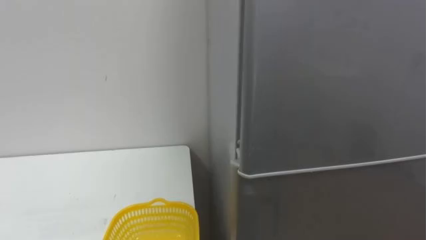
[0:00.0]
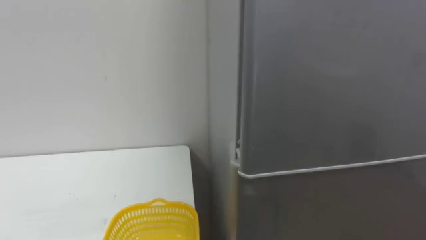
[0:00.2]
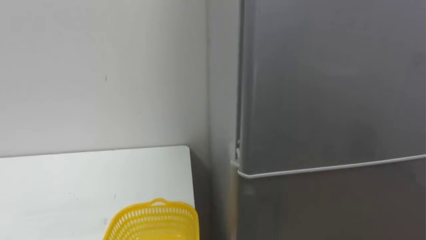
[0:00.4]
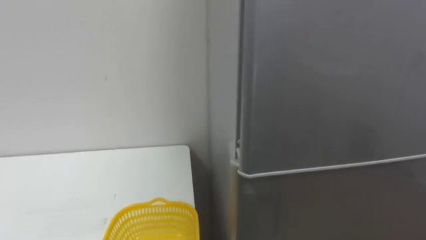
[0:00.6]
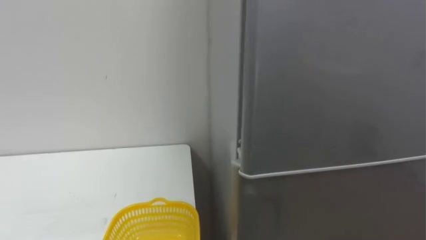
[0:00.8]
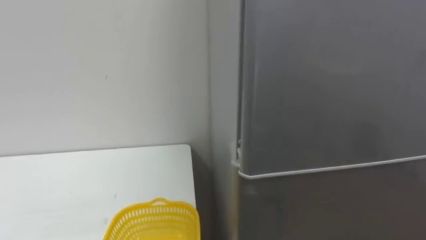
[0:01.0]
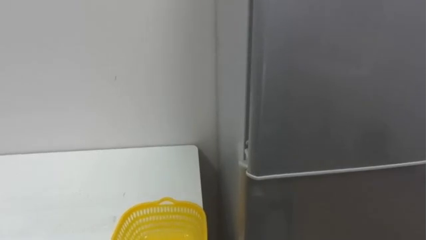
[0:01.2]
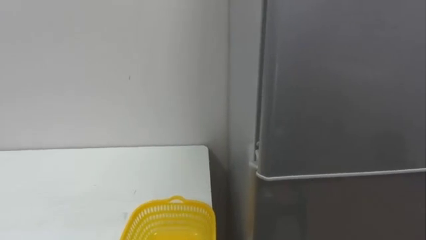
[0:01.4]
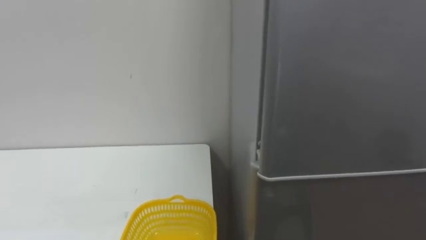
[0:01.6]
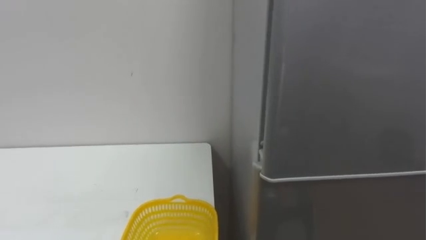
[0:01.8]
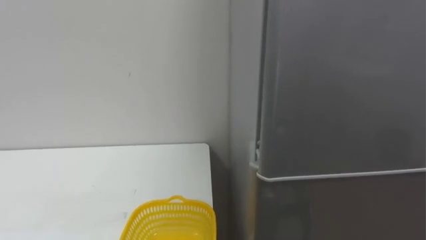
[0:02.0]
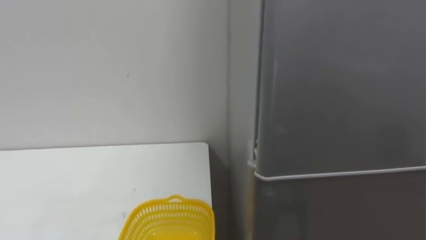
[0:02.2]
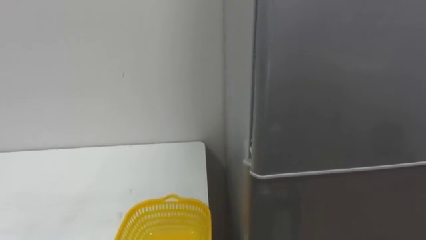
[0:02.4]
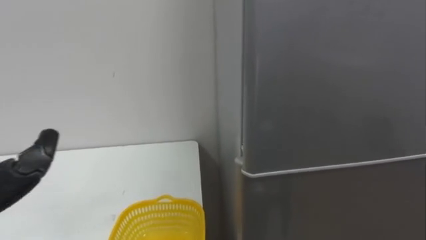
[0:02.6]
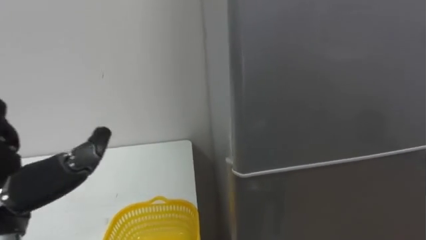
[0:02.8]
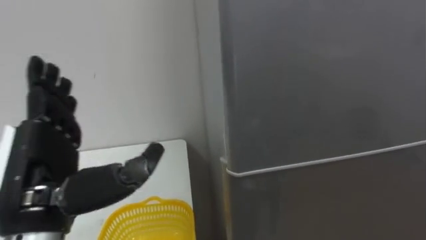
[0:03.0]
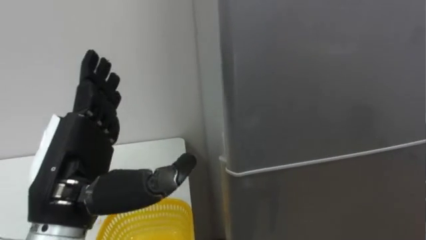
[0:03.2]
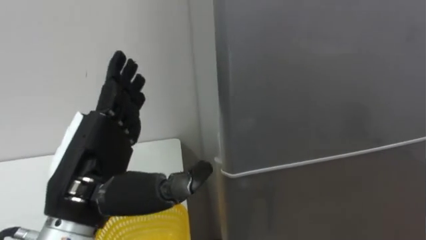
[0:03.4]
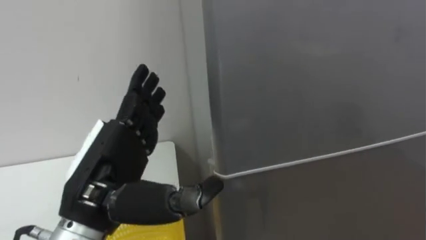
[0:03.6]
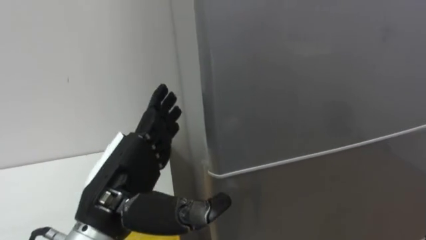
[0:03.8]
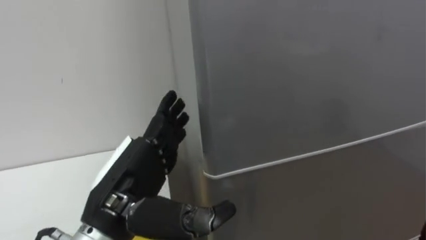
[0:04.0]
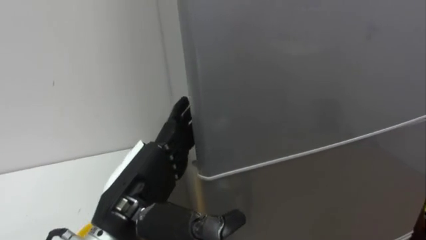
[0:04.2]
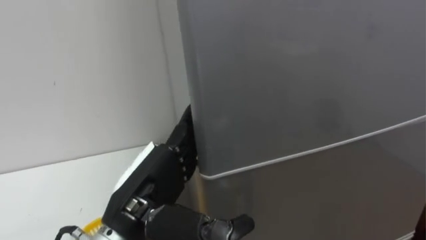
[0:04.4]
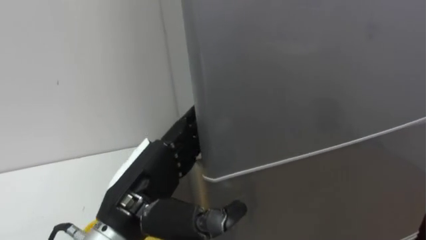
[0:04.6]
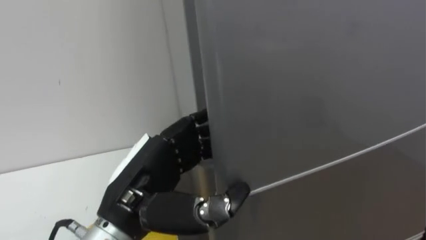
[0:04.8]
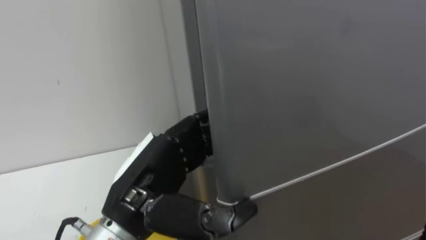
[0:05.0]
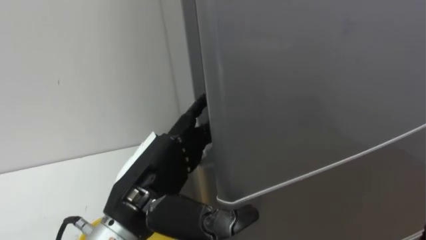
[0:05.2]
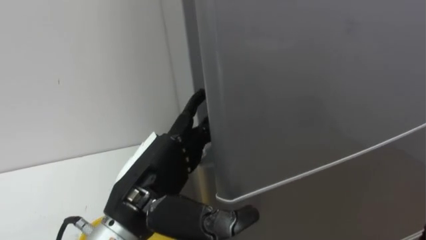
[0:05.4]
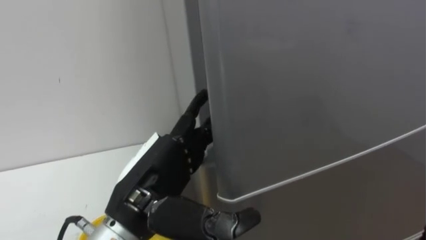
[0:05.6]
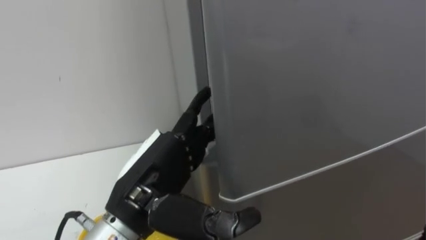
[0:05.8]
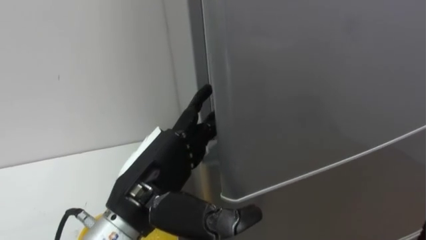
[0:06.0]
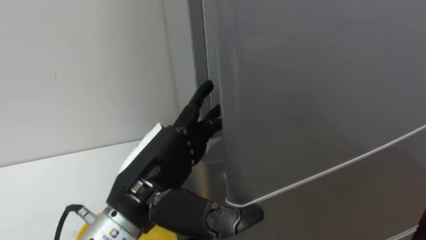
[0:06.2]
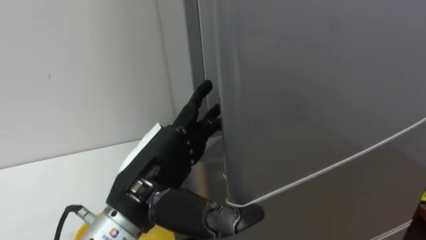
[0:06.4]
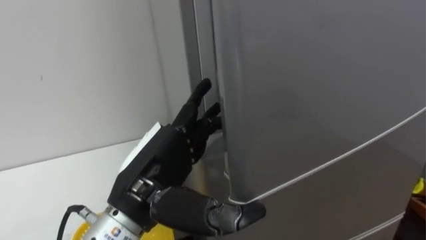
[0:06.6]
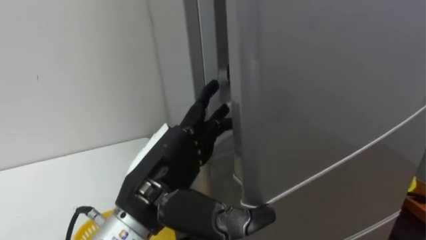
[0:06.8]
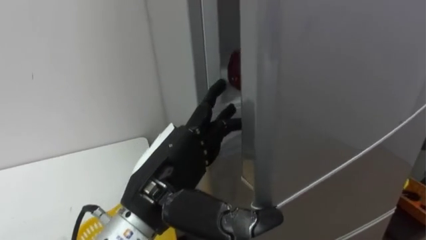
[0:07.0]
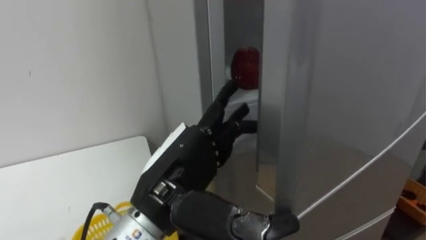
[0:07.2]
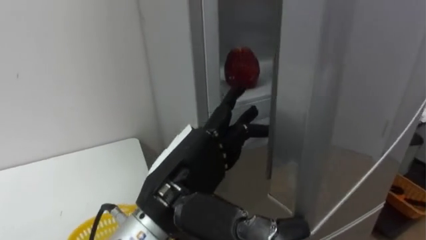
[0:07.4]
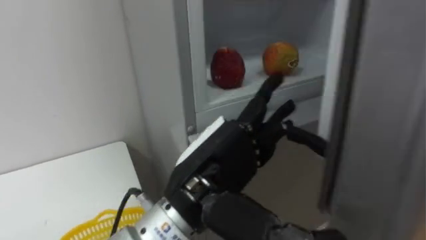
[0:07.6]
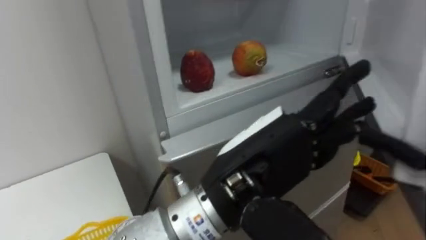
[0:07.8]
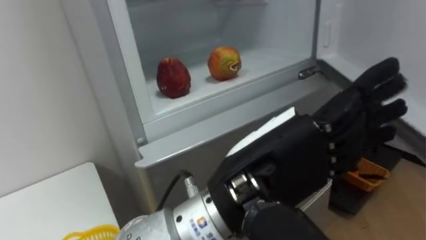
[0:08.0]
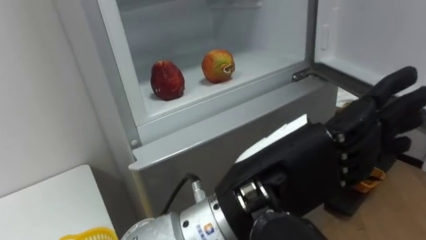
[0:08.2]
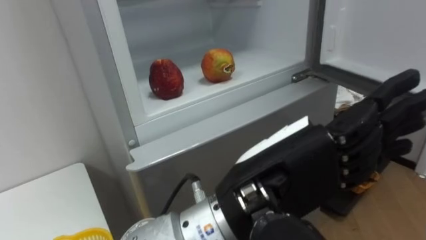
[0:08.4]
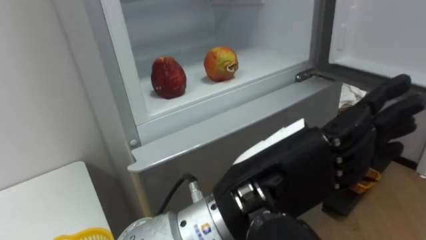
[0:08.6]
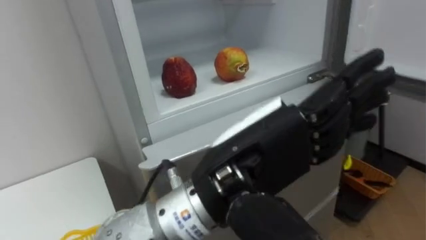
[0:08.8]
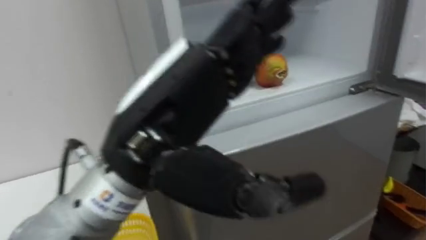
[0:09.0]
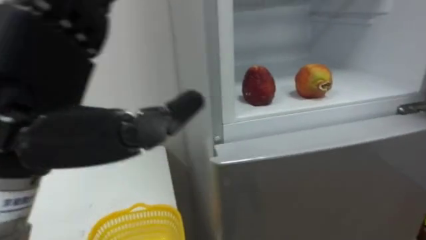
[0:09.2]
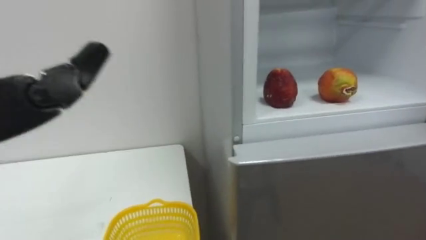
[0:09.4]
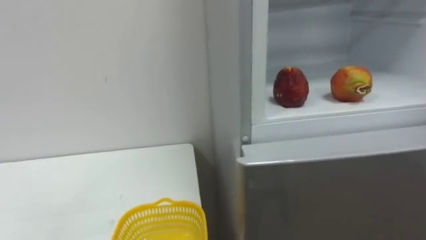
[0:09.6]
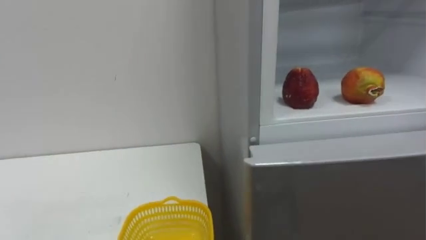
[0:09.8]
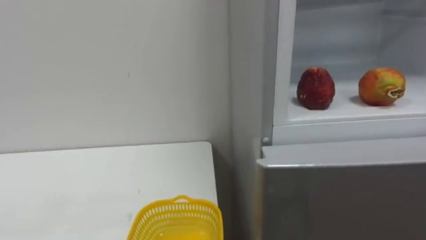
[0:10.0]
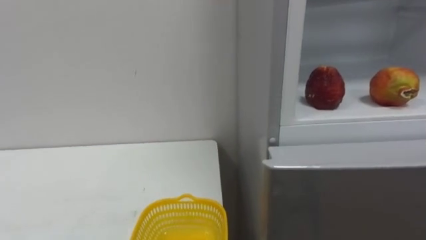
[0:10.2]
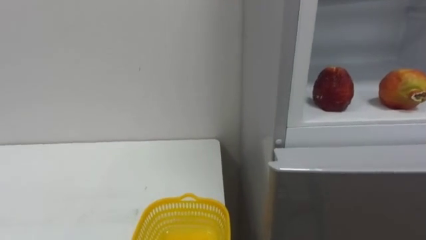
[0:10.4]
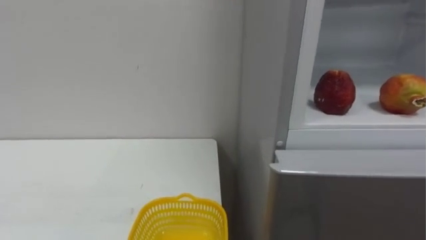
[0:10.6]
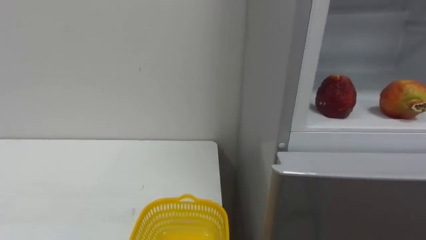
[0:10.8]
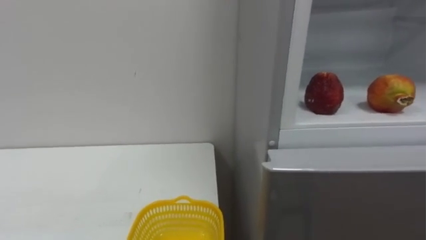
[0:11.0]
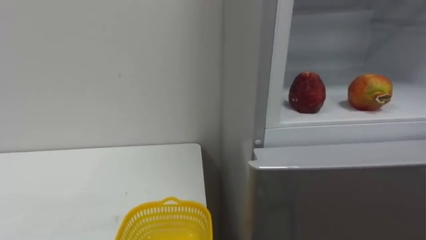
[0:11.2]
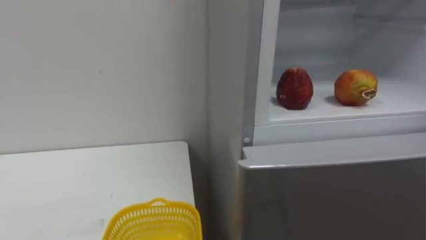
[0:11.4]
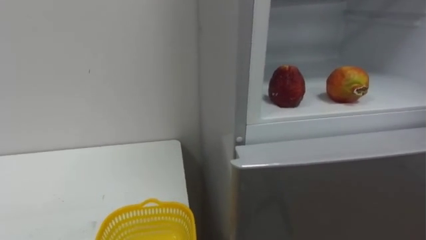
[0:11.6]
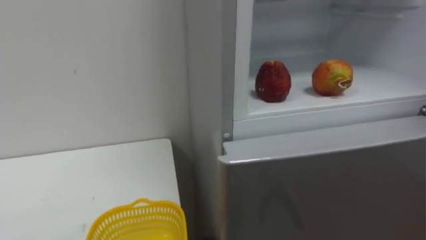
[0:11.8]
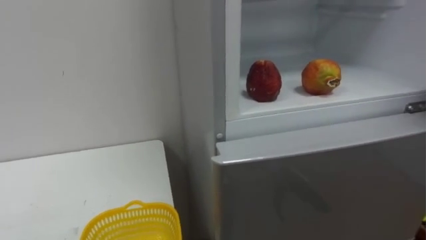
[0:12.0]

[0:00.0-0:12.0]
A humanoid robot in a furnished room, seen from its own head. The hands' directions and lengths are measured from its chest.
Task of the whole recording: Open the refrigerator door, take out the apple and the pomegranate, place them in the fruit basket on the left, and close the refrigerator door.
0:03.0 to 0:04.4: The left hand shifts about 10 cm to the right.
0:04.4 to 0:06.0: The left hand closes and opens again.
0:06.0 to 0:07.6: The left hand heads to the right, covering approximately 5 cm.
0:07.6 to 0:09.0: The left hand shifts about 10 cm upward, and travels to the right and back again, about 5 cm each way.

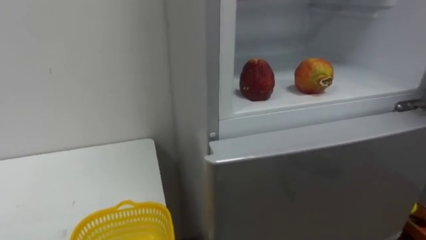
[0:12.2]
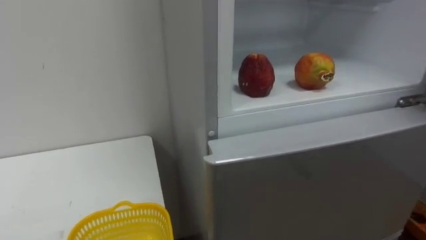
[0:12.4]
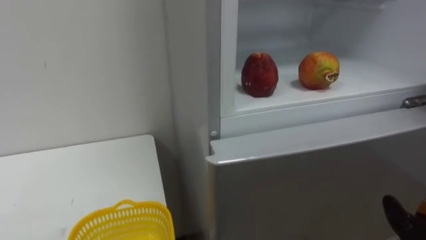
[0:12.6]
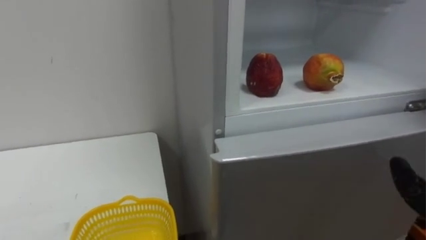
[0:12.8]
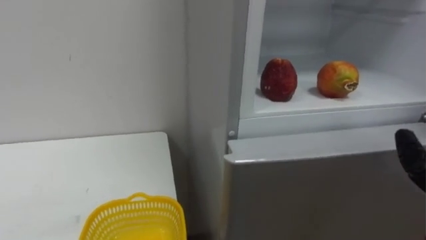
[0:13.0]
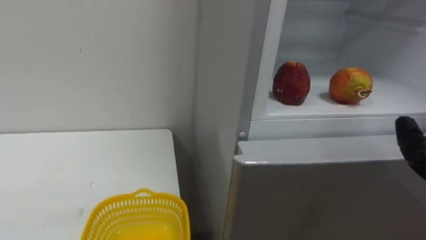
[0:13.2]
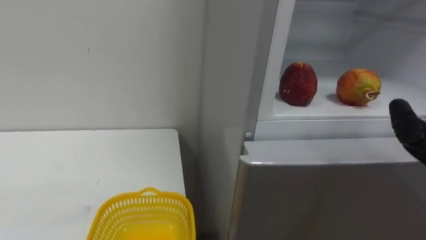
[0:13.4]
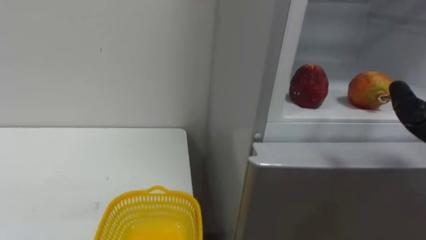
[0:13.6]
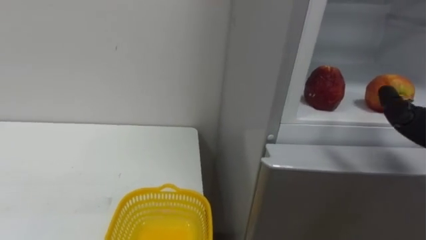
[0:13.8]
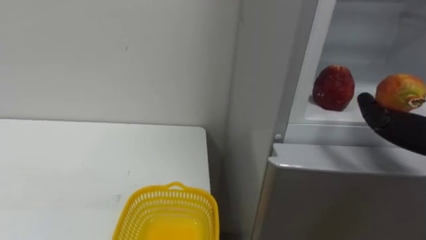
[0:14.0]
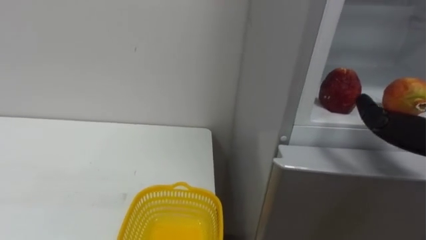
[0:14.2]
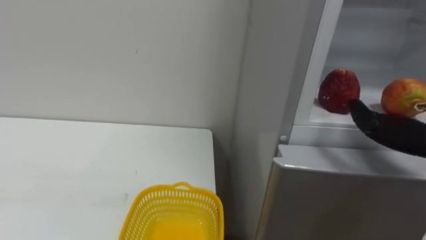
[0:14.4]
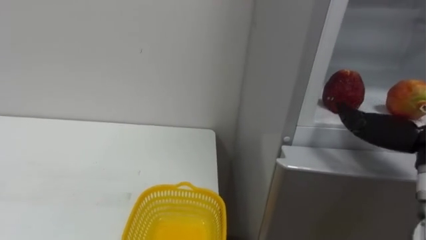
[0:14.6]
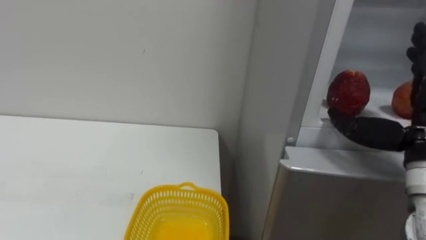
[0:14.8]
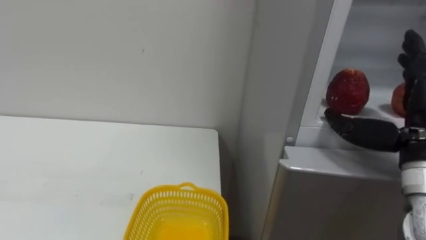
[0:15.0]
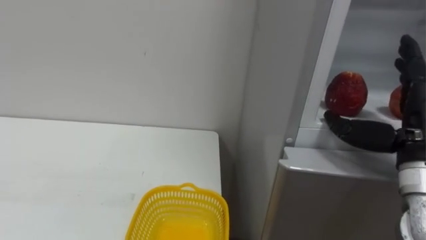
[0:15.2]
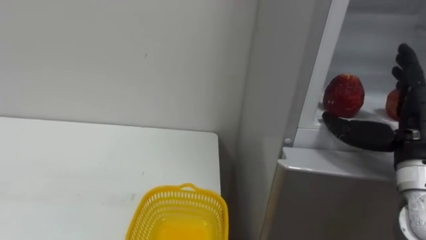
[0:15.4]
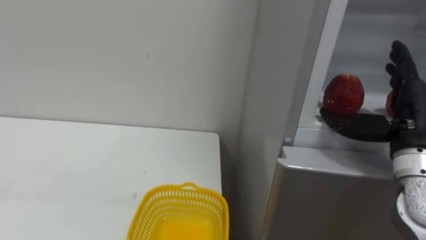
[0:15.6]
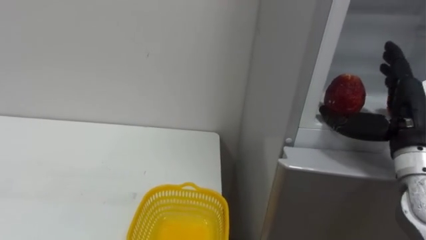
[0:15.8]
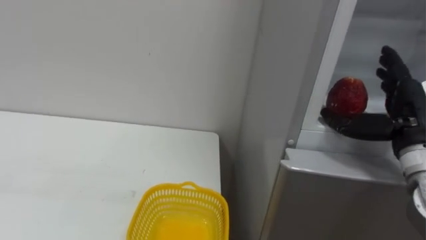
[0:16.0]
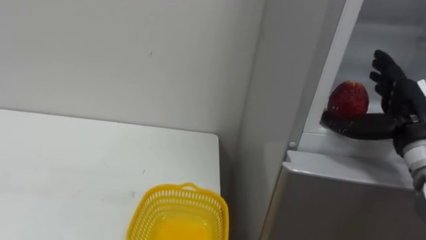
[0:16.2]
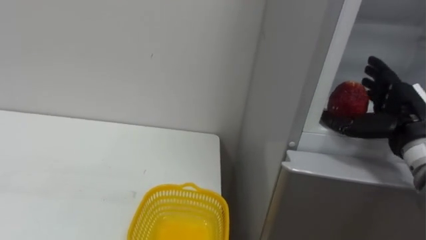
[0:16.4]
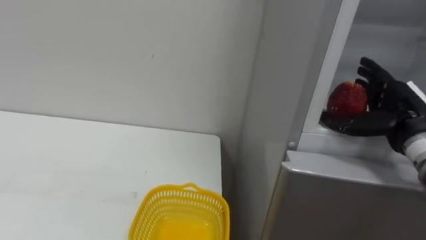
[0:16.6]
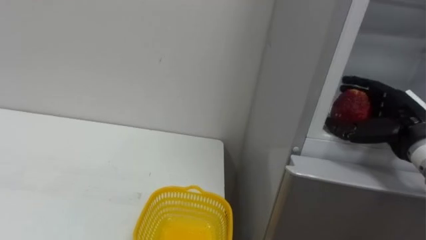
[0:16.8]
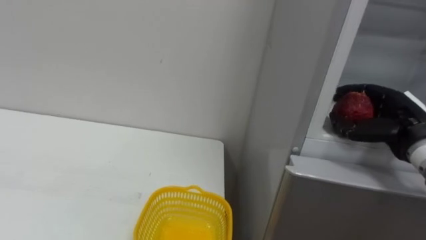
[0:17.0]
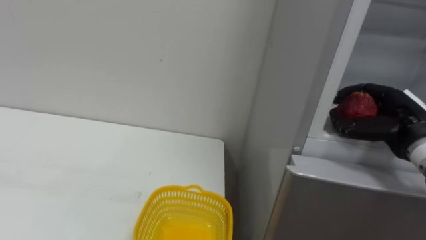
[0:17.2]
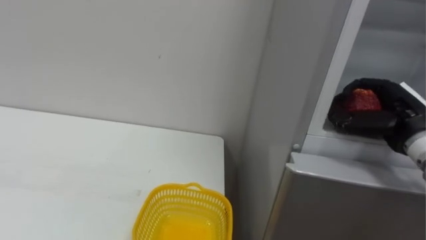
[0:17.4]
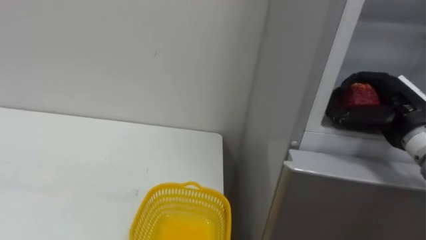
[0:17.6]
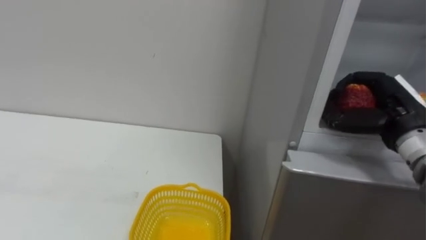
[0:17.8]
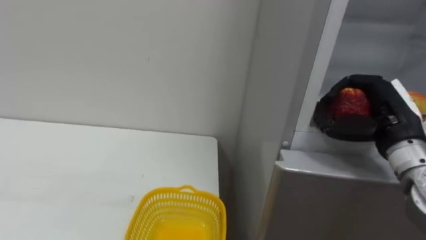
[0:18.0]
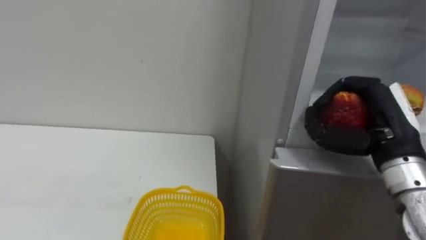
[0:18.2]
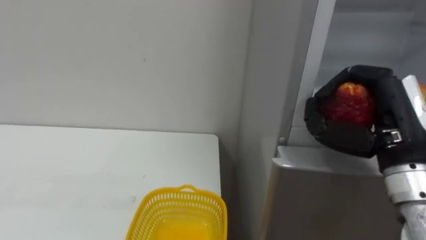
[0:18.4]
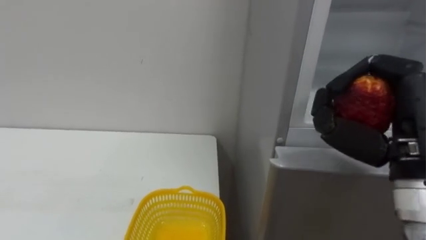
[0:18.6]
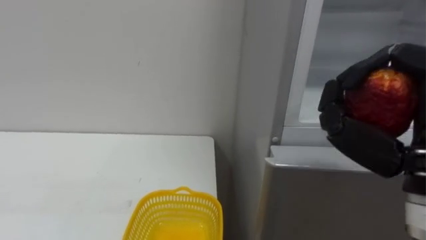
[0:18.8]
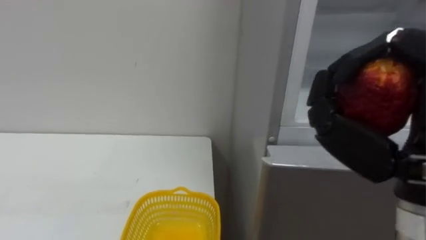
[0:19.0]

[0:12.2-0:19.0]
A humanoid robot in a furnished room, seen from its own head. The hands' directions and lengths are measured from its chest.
Task of the whole recording: Open the refrigerator door, take out the apple and the pomegranate, place them in the fruit basket on the left, and close the refrigerator door.
0:15.0 to 0:16.2: The right hand heads forward, covering some 5 cm.
0:16.2 to 0:17.6: The right hand closes its fingers.
0:17.6 to 0:19.0: The right hand is displaced backward, to the left and upward by roughly 20 cm.
